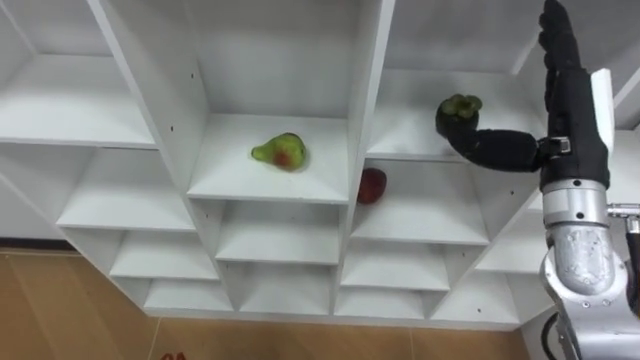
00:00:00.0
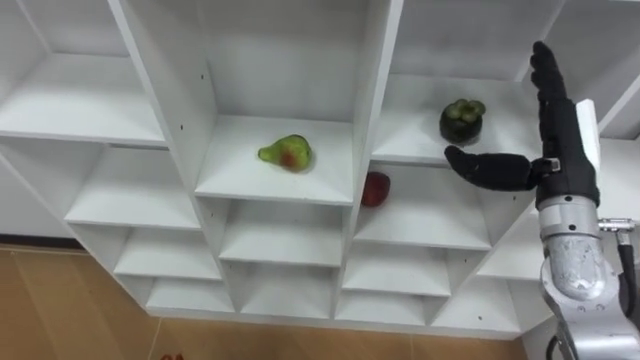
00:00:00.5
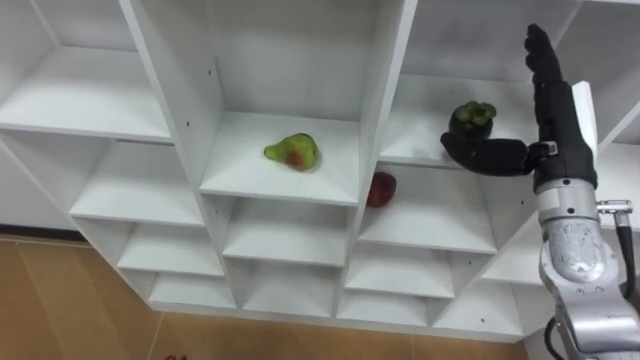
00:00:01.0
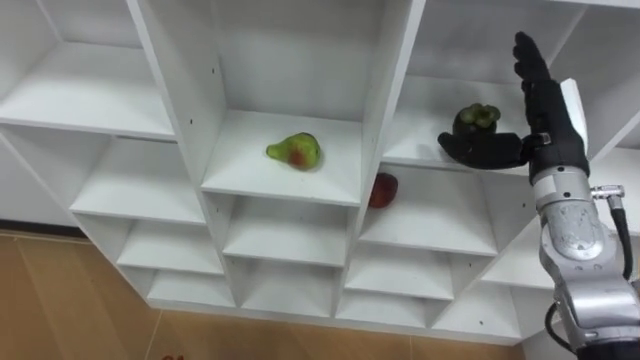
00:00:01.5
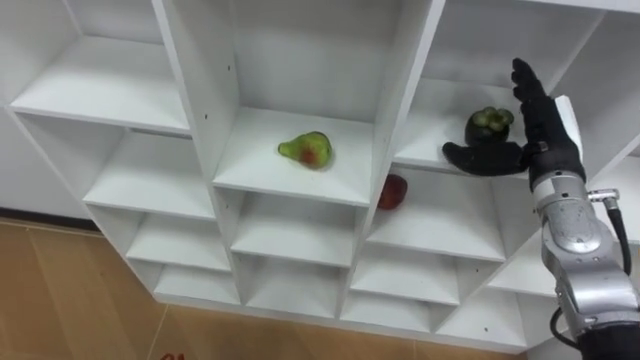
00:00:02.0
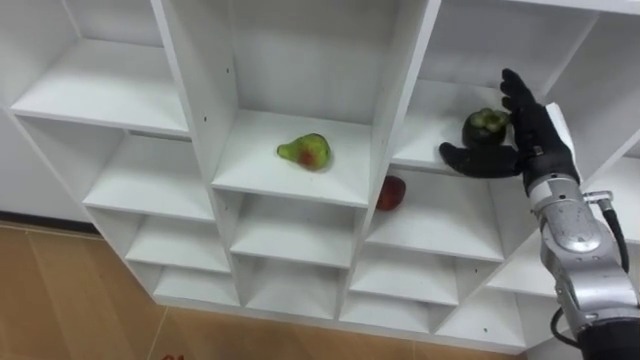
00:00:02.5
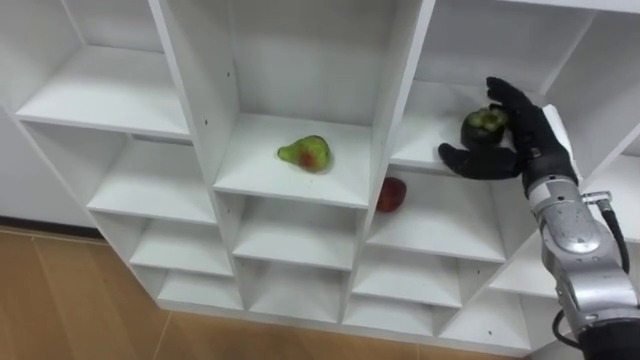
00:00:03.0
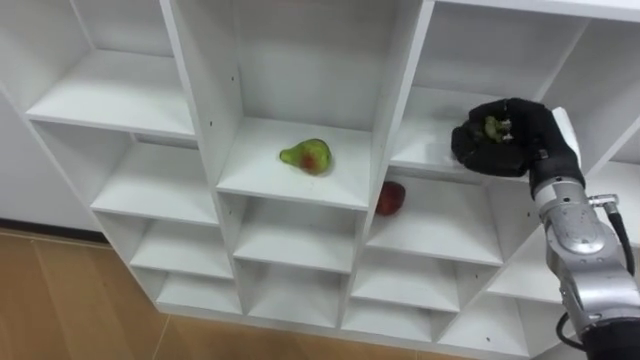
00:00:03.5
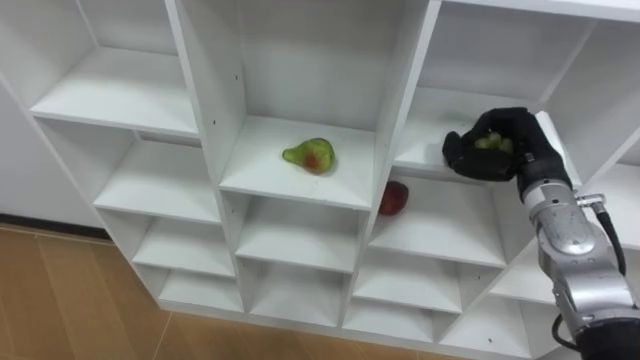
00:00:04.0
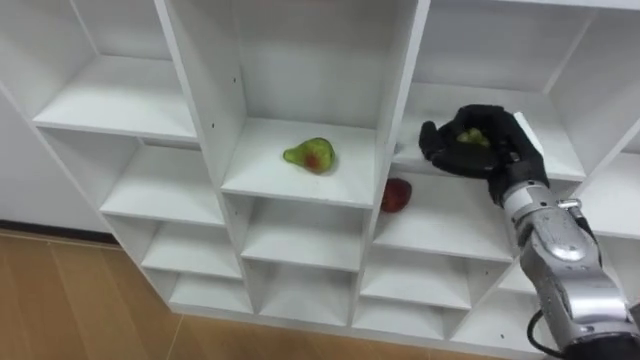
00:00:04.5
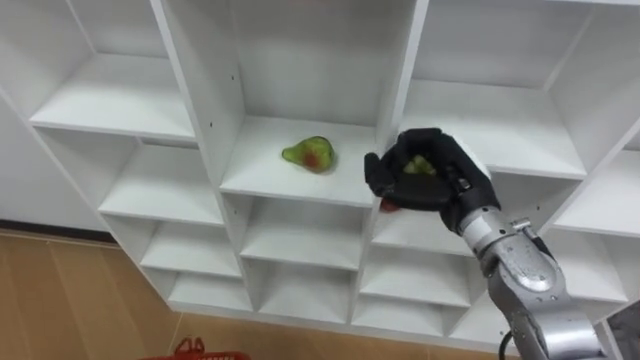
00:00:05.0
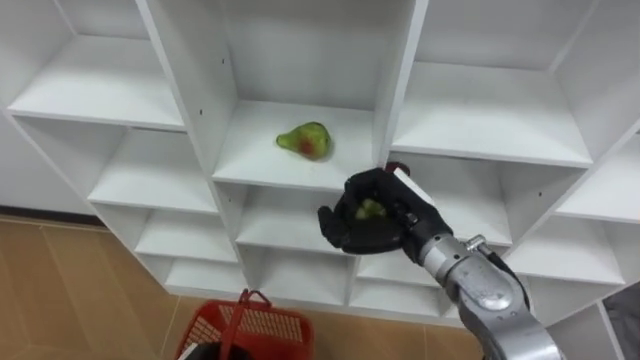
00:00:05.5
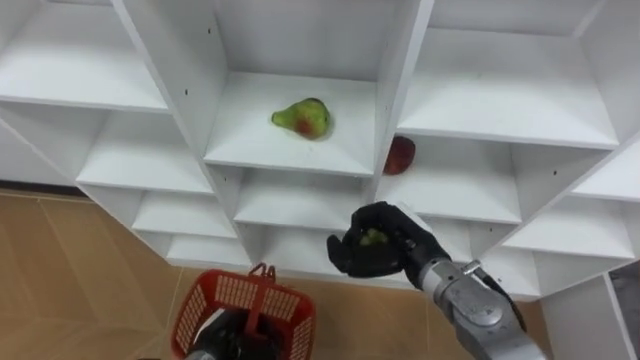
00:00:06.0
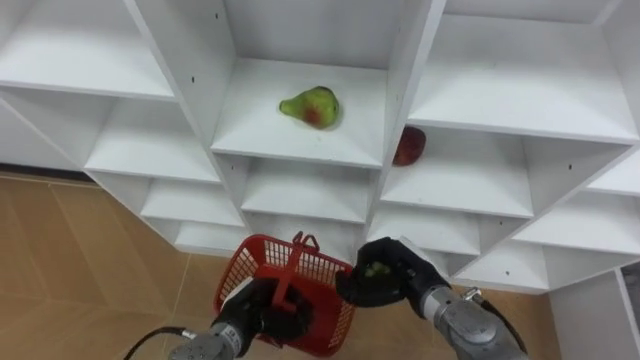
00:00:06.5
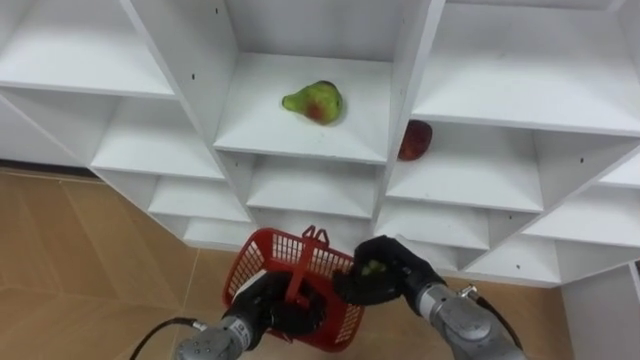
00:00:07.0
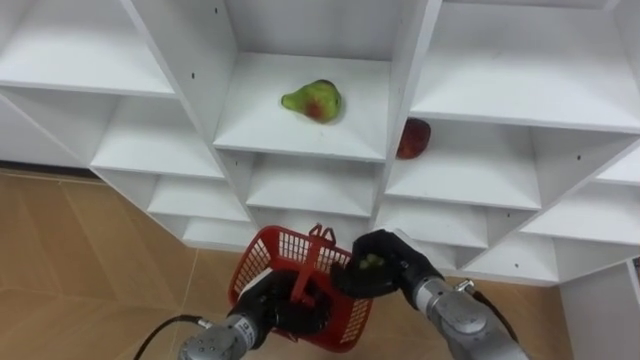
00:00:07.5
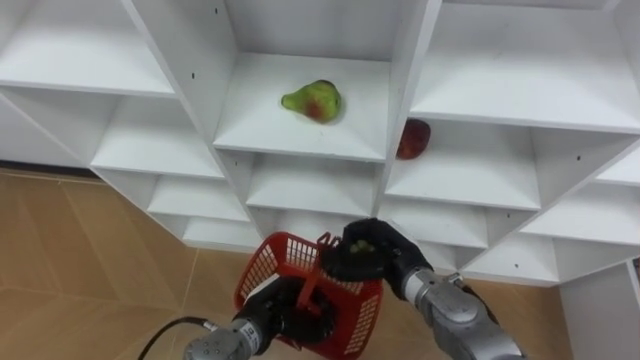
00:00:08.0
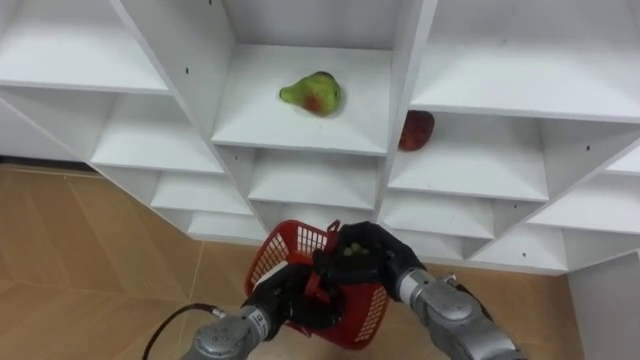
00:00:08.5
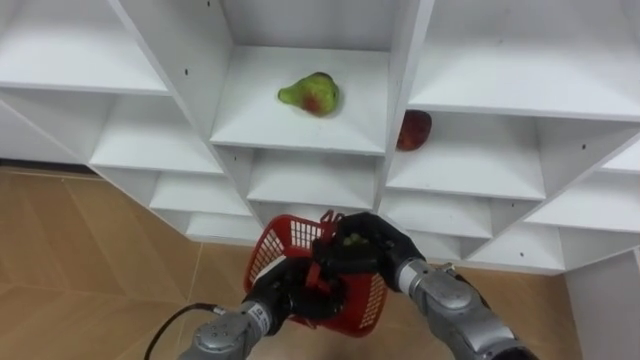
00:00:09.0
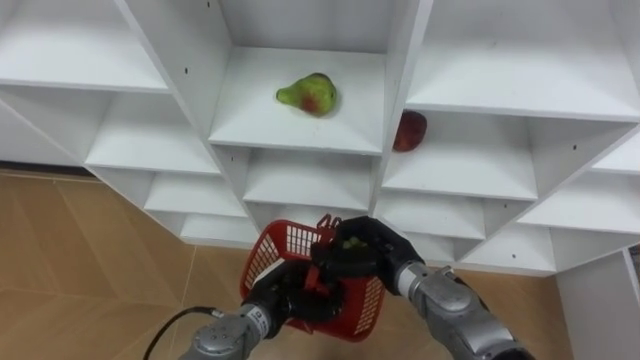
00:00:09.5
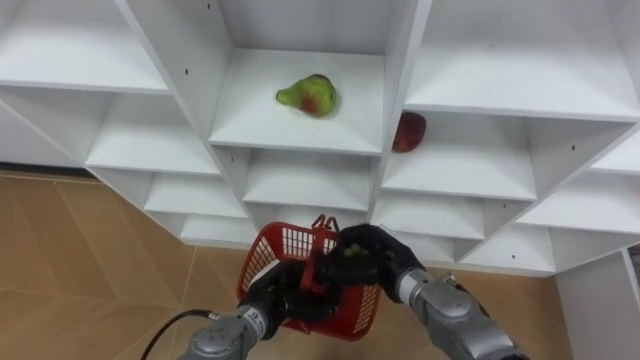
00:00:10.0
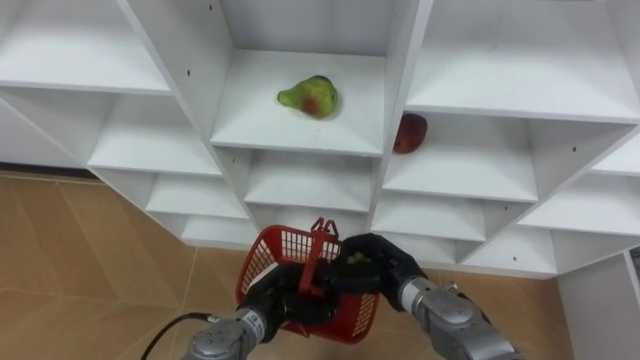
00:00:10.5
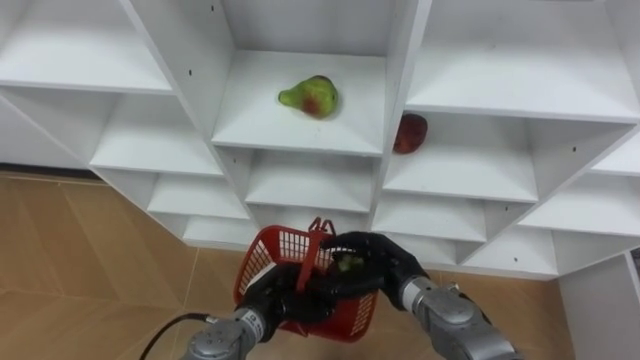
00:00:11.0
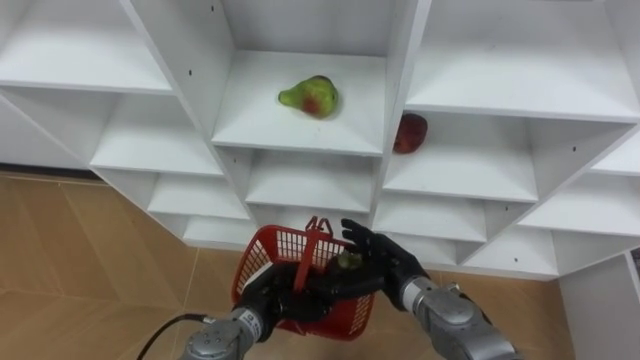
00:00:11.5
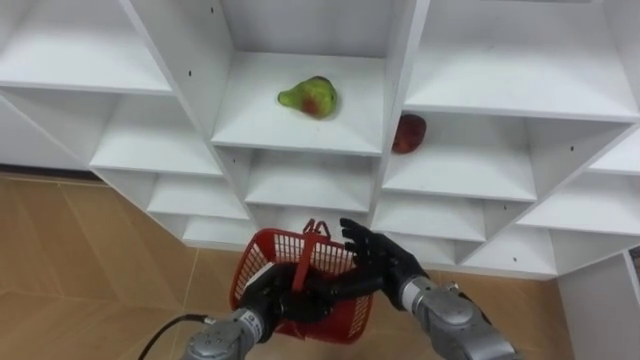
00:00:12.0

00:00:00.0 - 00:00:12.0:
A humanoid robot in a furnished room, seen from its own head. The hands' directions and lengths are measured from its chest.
Task of the whole recording: Hold the basket and collect the fruits from 3 different cells of the closet into it.
00:00:00.0 - 00:00:02.0: The right hand goes about 5 cm downward.
00:00:02.0 - 00:00:04.0: The right hand closes.
00:00:04.0 - 00:00:06.0: The right hand travels to the left, downward and backward by some 20 cm.
00:00:06.0 - 00:00:08.0: The left hand travels to the right by approximately 5 cm.
00:00:08.0 - 00:00:10.0: The hands make only small movements.
00:00:10.0 - 00:00:12.0: The right hand opens.

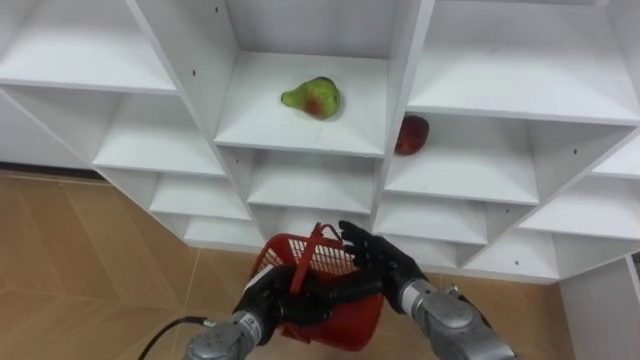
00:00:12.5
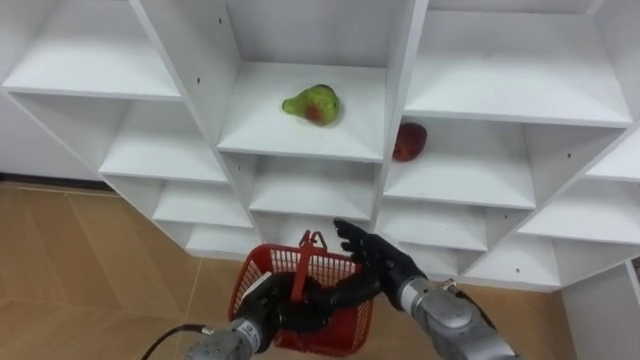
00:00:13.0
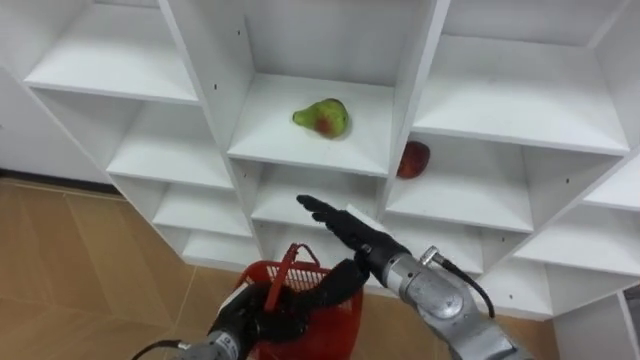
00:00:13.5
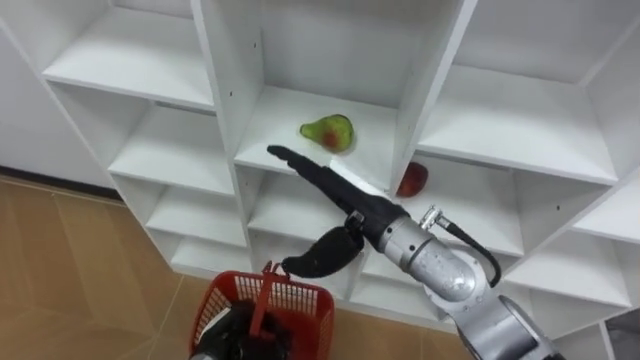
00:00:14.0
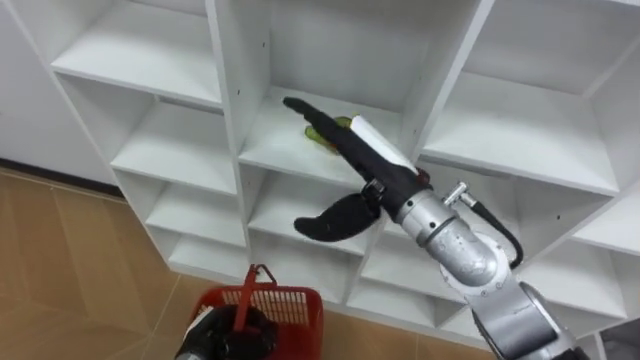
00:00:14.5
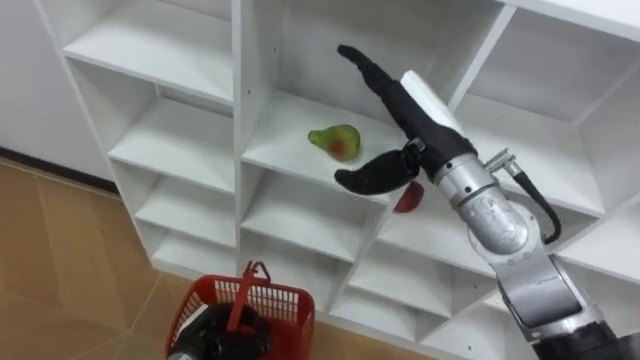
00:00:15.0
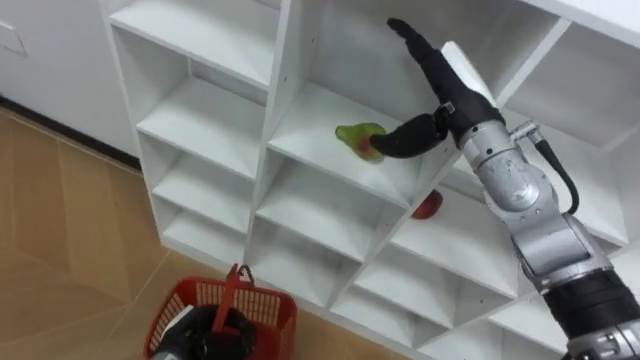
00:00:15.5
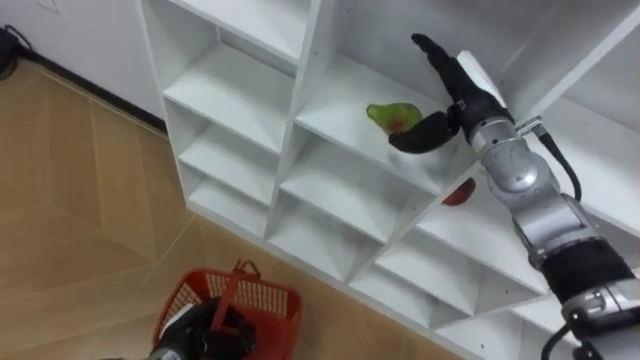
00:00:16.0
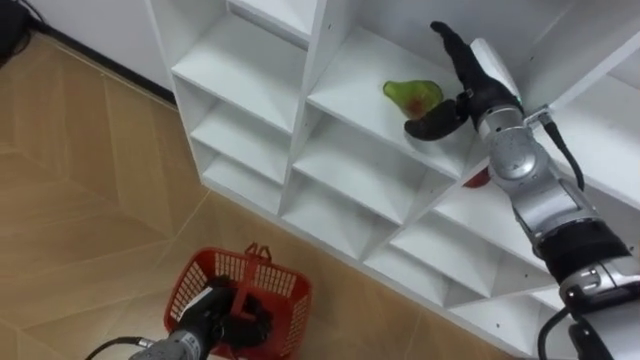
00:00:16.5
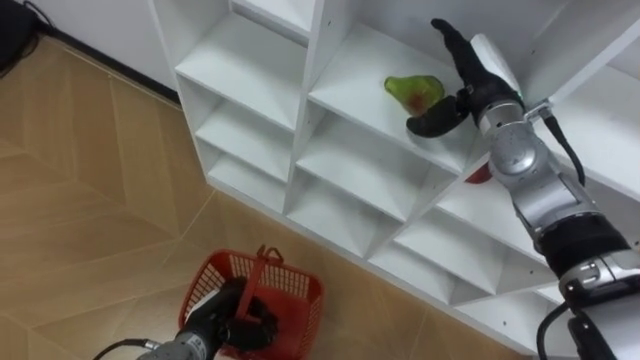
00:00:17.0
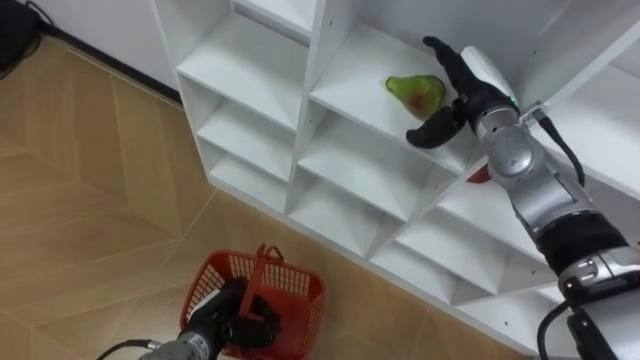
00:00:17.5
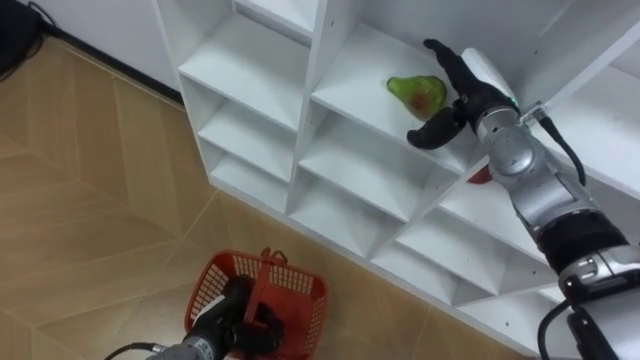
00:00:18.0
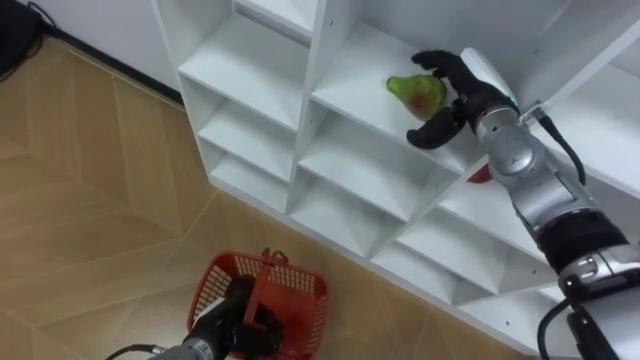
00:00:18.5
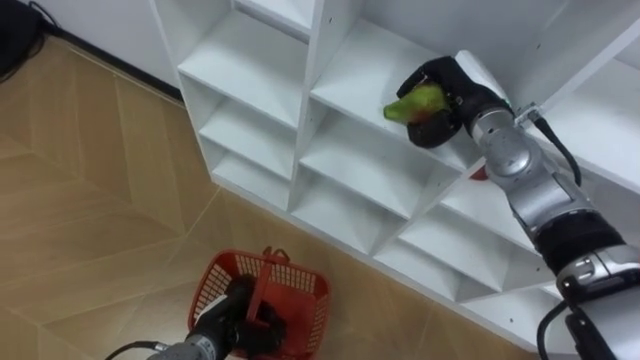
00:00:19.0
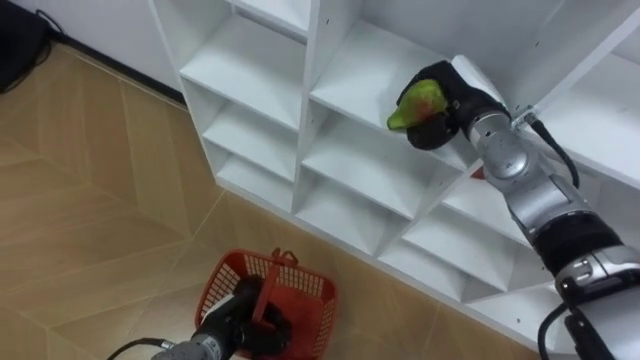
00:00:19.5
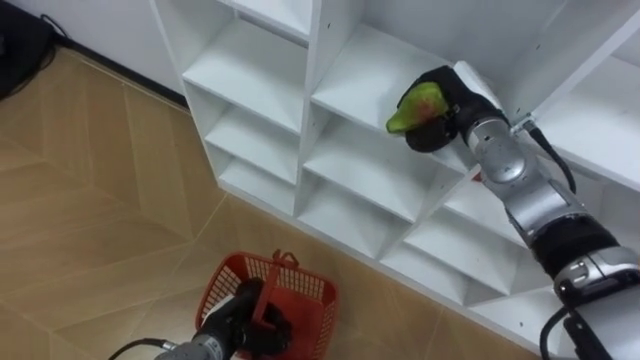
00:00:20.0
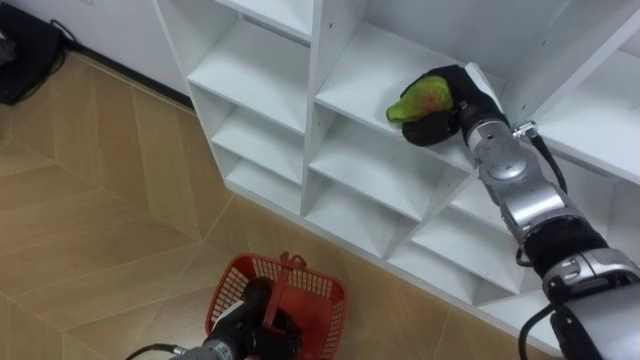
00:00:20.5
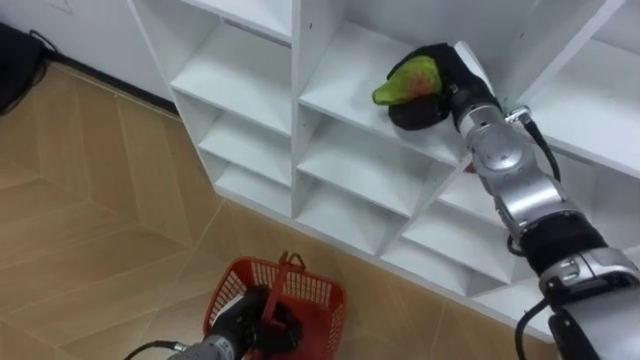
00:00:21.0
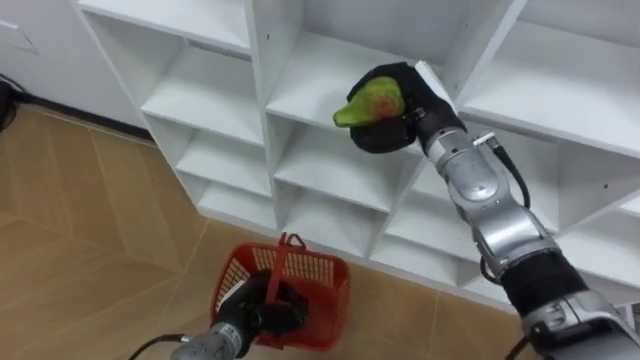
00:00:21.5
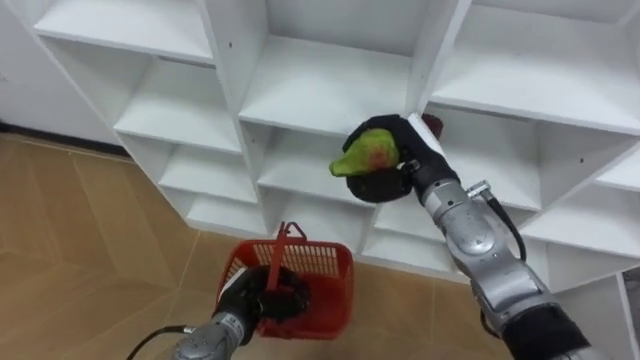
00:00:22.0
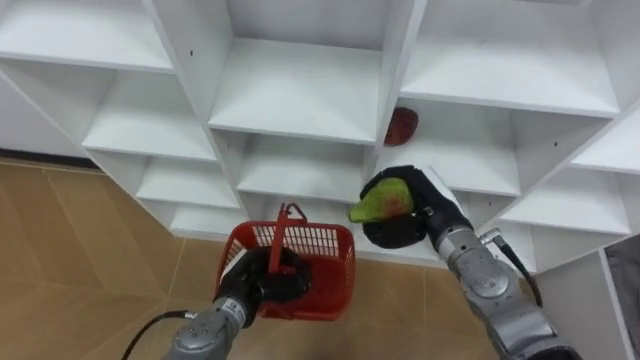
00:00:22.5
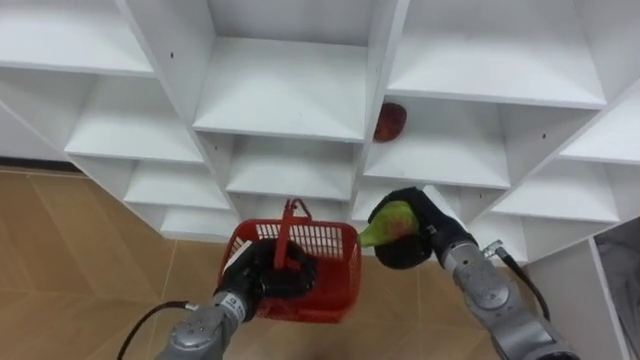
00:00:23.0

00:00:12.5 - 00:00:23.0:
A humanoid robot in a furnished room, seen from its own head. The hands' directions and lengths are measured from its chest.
Task of the whole recording: Hold the basket and collect the fruits from 3 different cells of the closet into it.
00:00:12.5 - 00:00:14.5: The right hand travels upward by about 20 cm. The left hand moves to the left, approximately 10 cm.
00:00:14.5 - 00:00:16.5: The right hand is displaced to the right and forward by roughly 20 cm.
00:00:16.5 - 00:00:19.0: The right hand closes up.
00:00:21.0 - 00:00:23.0: The right hand moves downward and backward, roughly 20 cm. The left hand heads upward and forward, covering approximately 10 cm.
